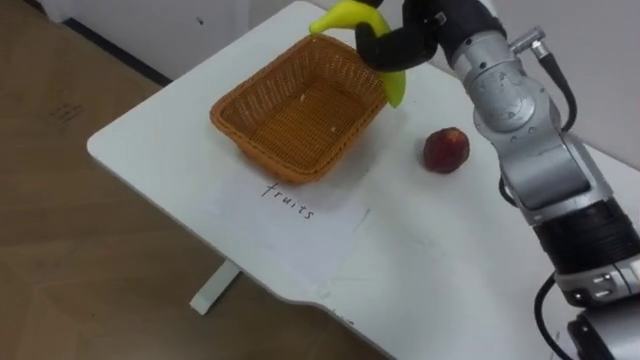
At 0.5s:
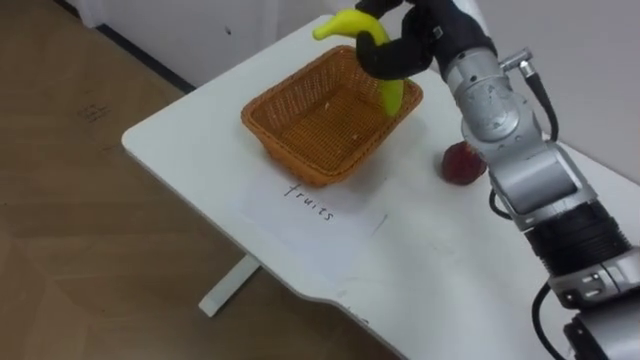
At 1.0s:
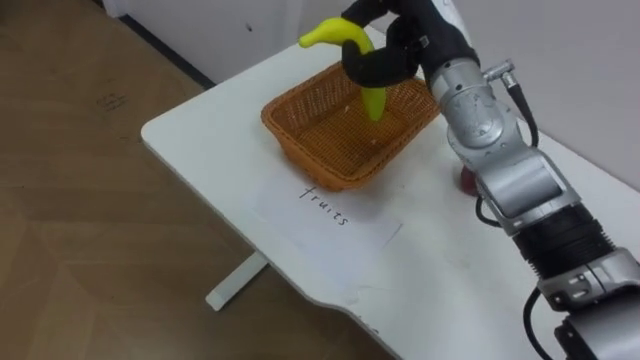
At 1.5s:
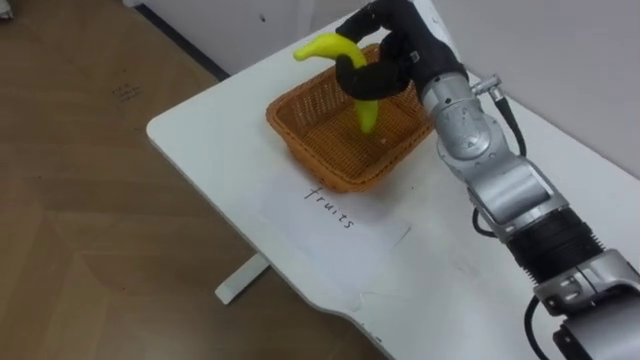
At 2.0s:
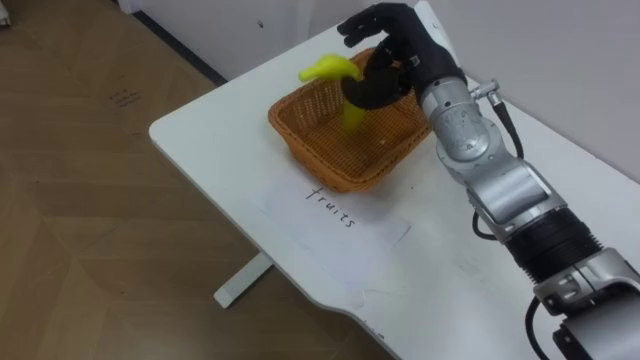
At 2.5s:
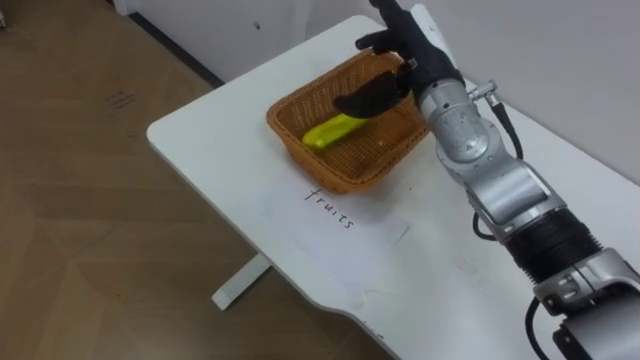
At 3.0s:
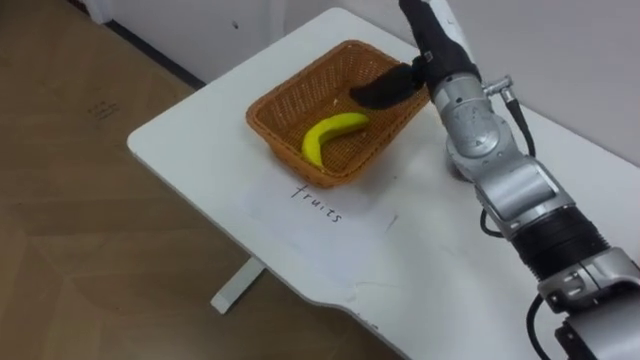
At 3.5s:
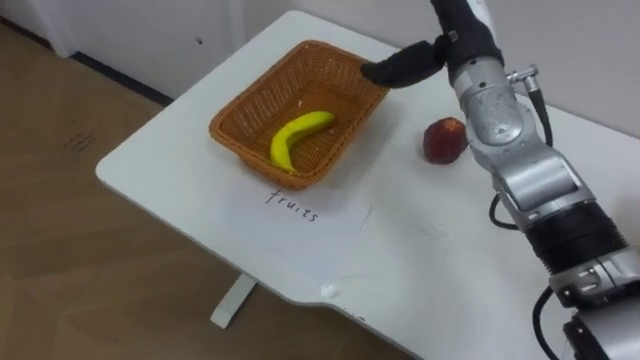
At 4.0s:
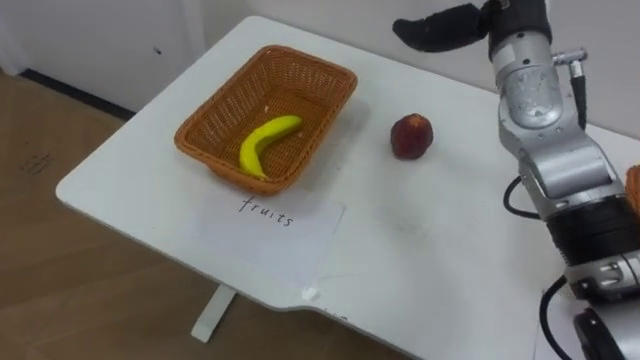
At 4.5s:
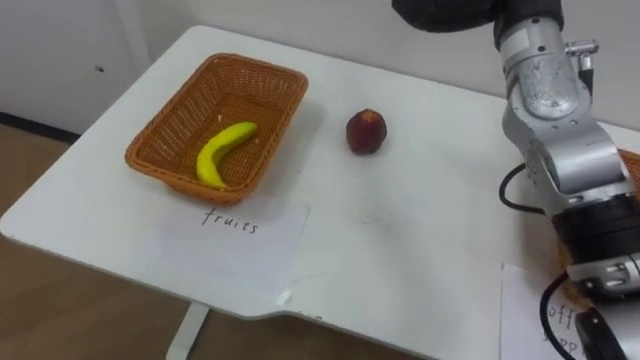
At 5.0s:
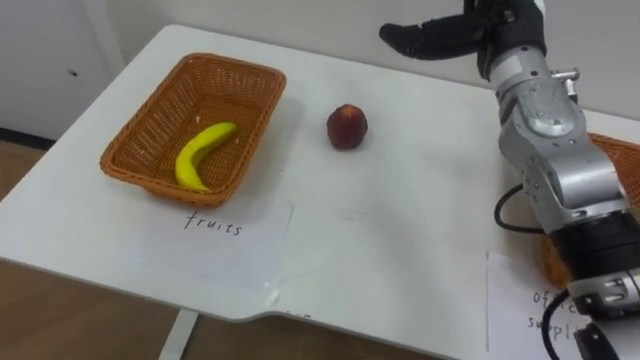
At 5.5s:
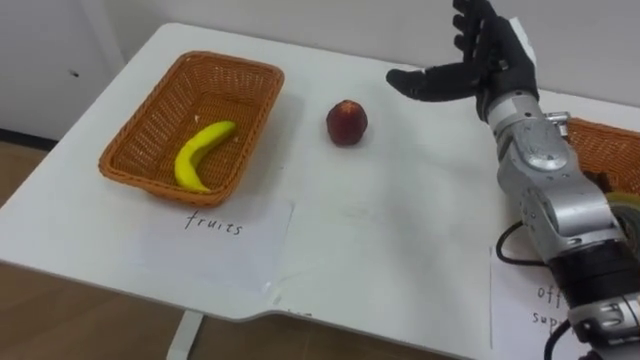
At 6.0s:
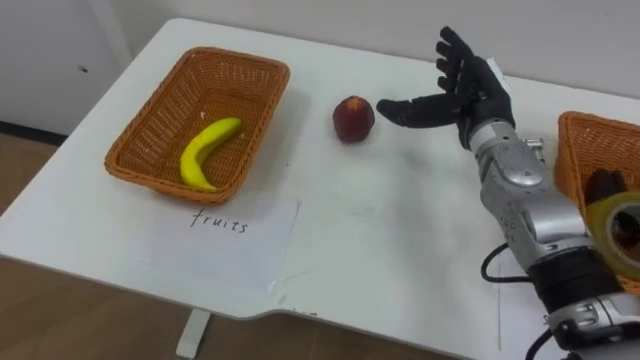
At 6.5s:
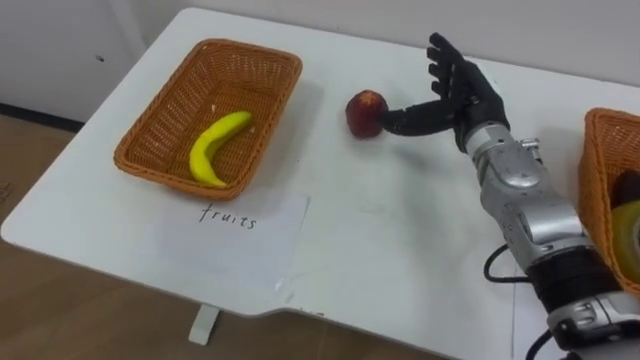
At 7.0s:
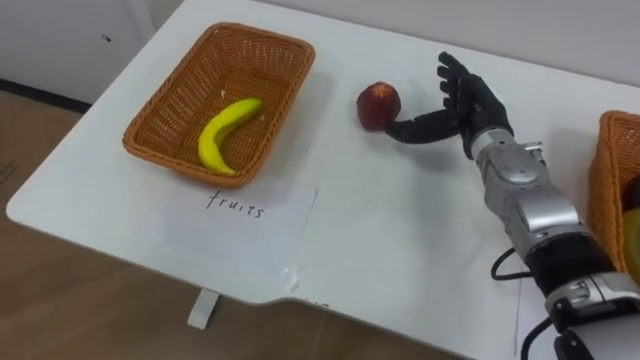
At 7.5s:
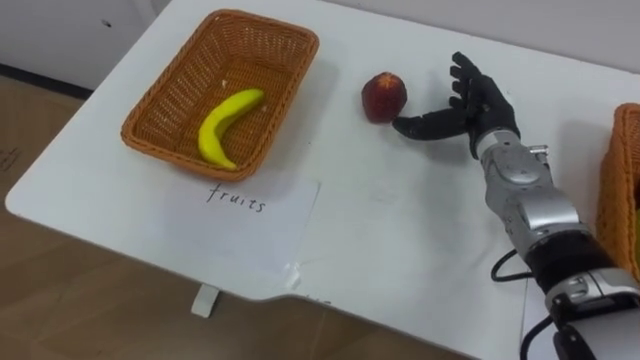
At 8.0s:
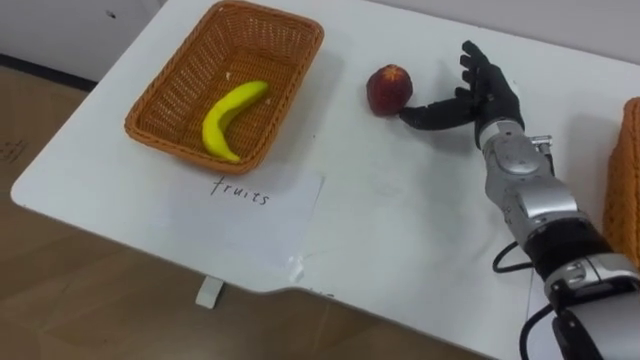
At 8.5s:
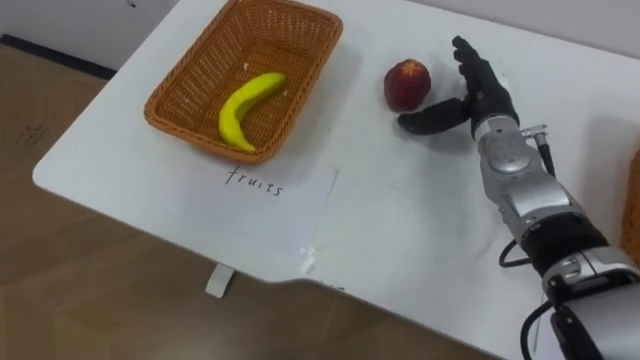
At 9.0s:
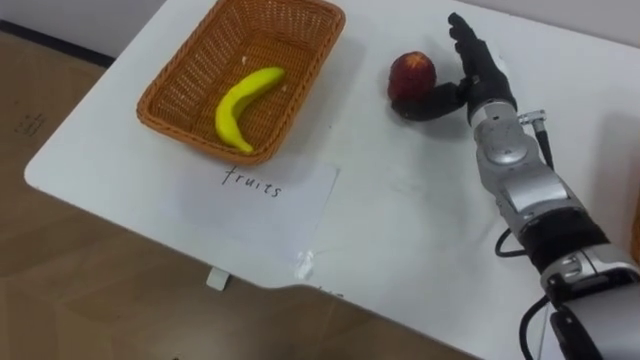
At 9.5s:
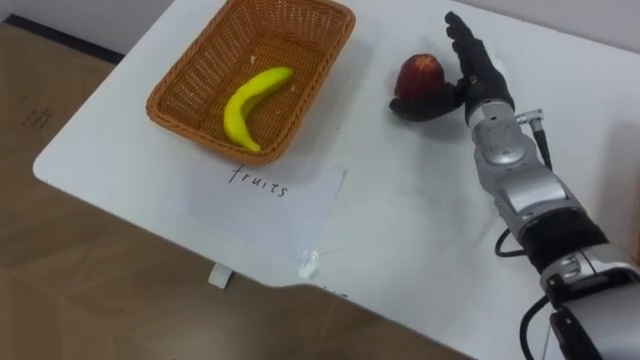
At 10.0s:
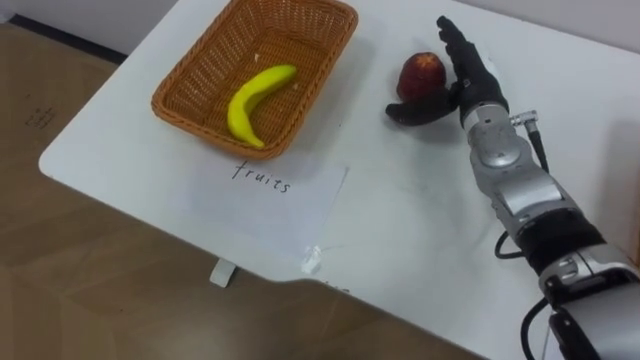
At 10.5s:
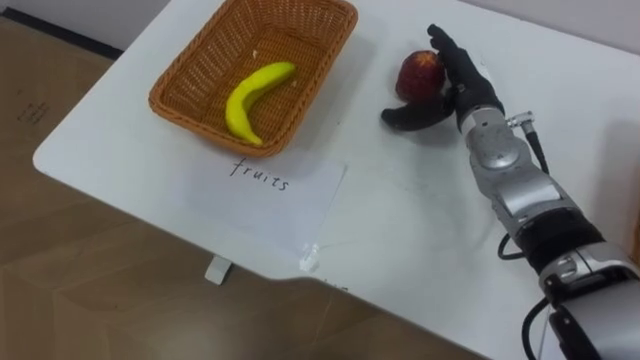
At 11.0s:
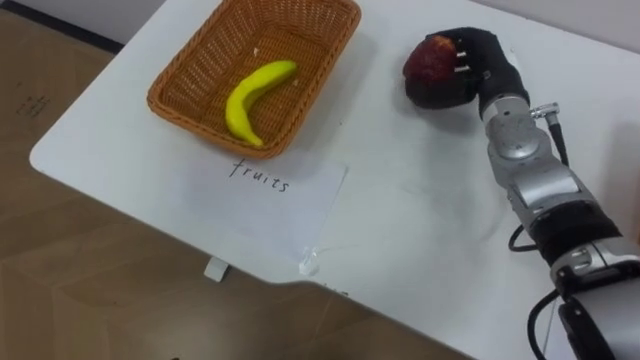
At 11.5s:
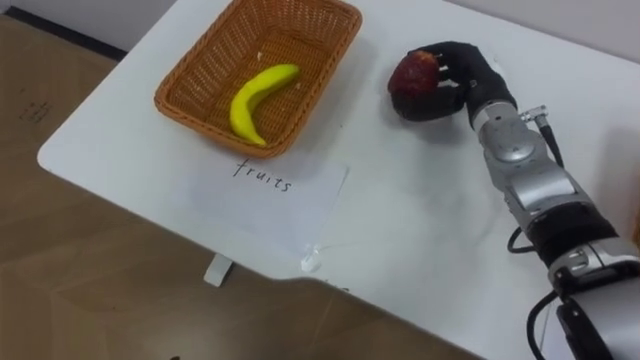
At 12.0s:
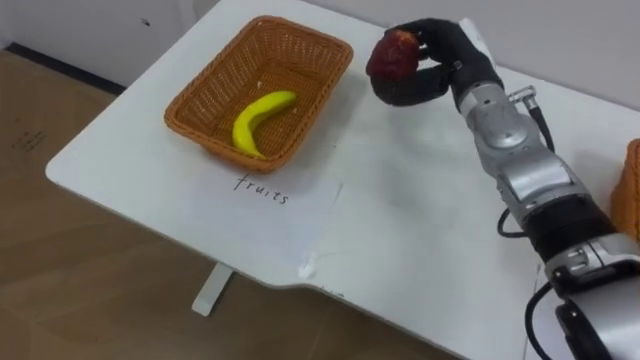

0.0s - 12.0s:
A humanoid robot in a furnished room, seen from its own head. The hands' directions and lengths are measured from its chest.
Task of the whole recording: Separate the items on the table and place them into the two baskets.
0.0s - 2.0s: The right hand goes some 5 cm downward.
2.0s - 4.0s: The right hand goes about 10 cm to the right and upward, and opens up.
10.0s - 12.0s: The right hand closes its fingers.

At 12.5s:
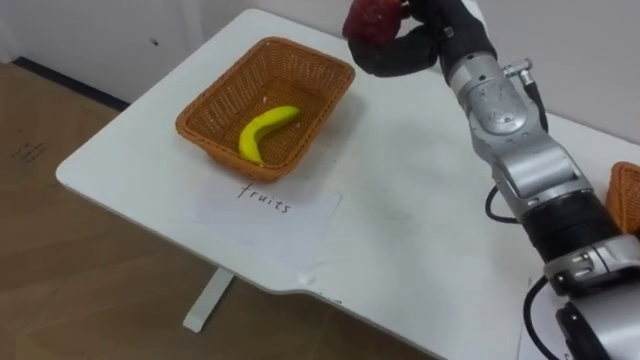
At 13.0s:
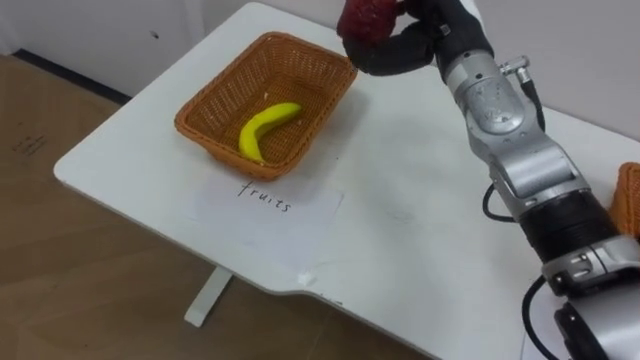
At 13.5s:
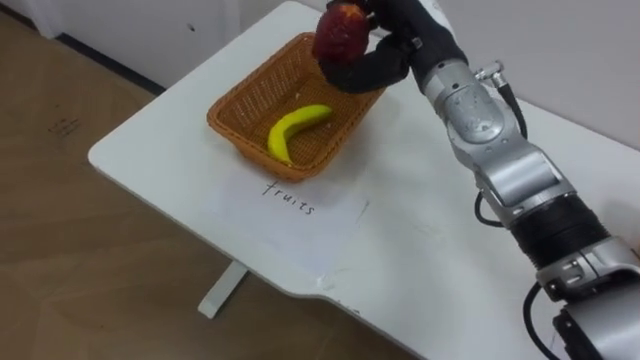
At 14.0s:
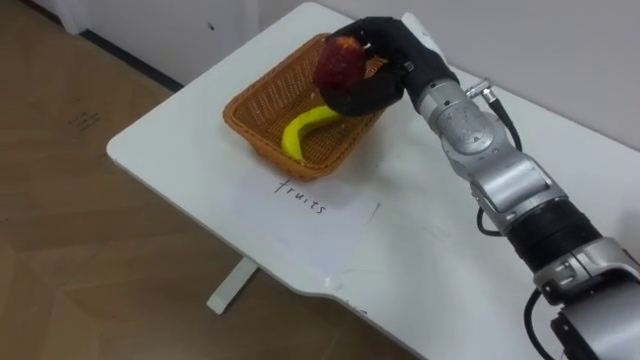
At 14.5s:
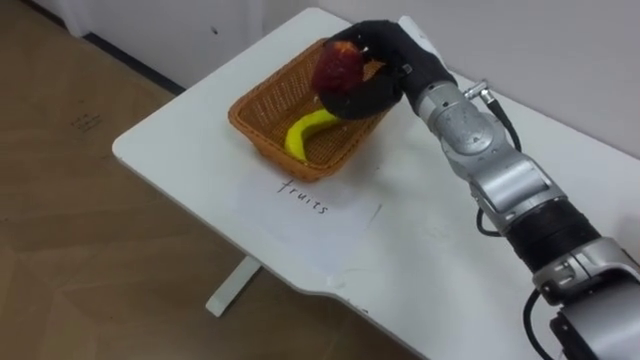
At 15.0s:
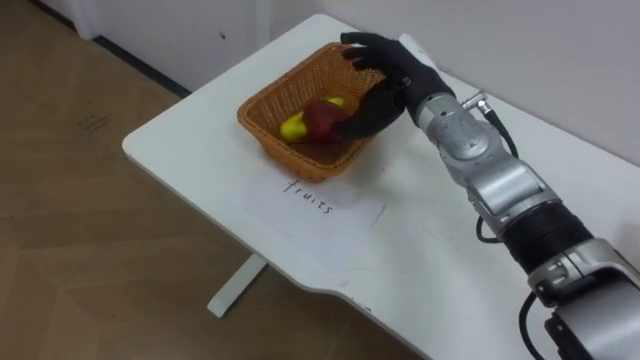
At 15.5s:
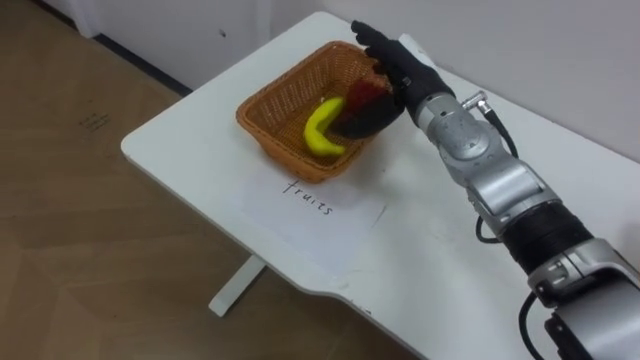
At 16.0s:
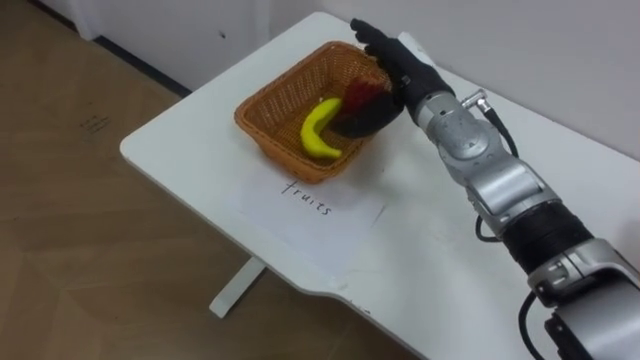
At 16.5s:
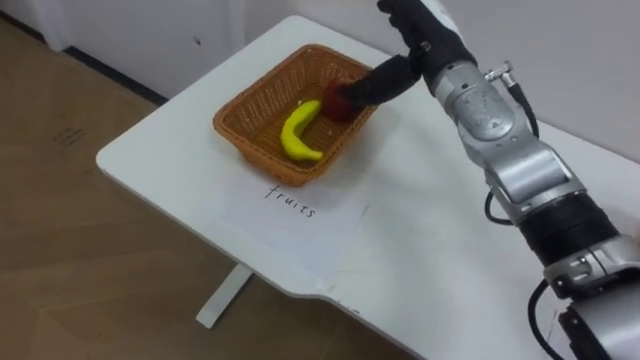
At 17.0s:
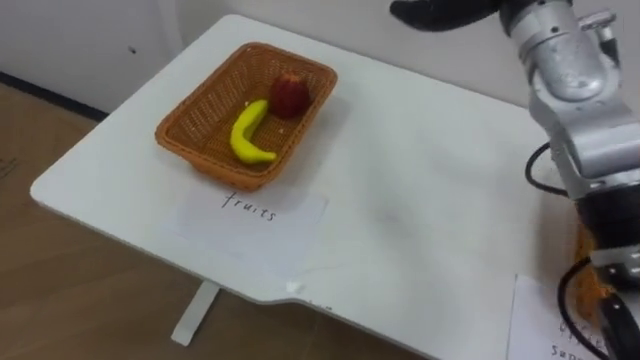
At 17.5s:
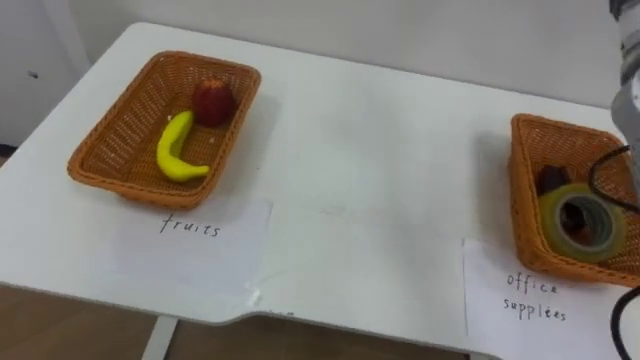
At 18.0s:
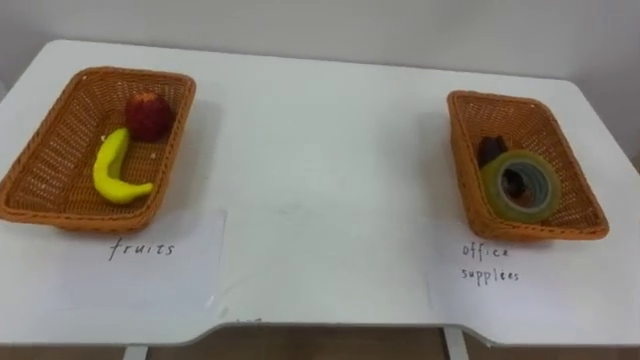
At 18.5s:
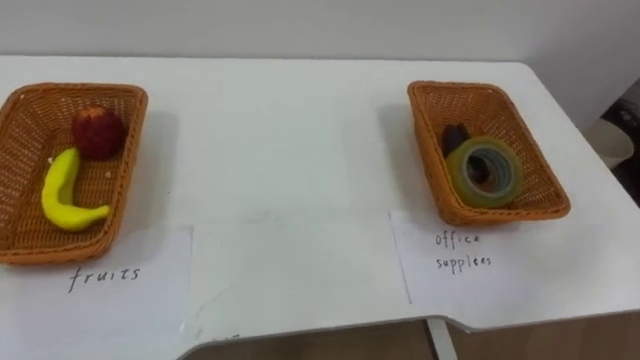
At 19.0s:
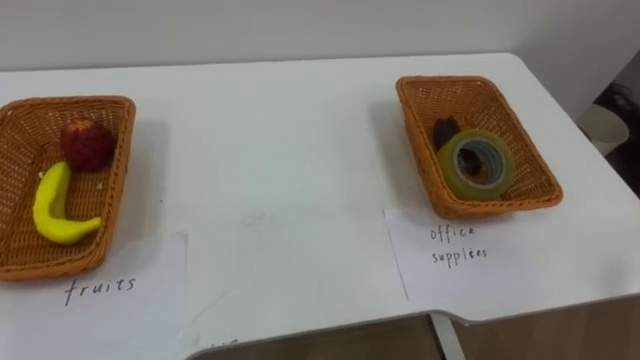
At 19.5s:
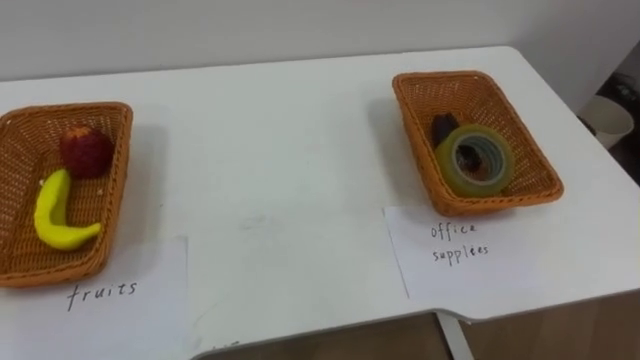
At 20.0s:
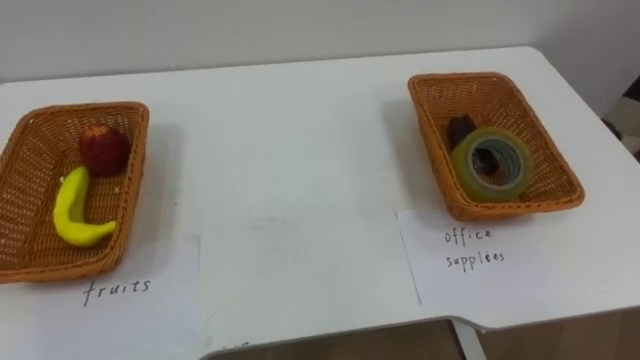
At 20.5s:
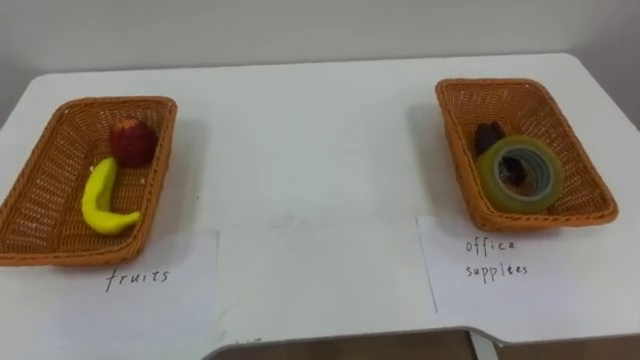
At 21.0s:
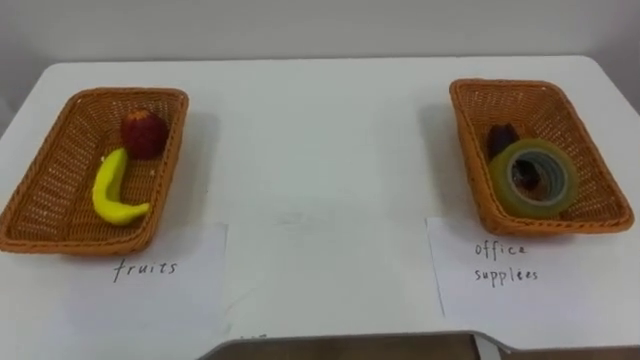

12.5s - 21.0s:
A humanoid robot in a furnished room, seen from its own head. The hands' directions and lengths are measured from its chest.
Task of the whole recording: Separate the items on the table and place them into the two baskets.
12.5s - 14.5s: The right hand changes place by approximately 5 cm.
14.5s - 16.5s: The right hand opens.
